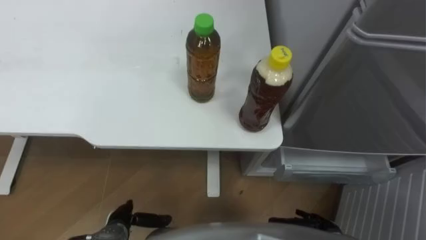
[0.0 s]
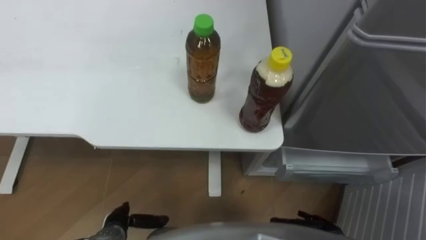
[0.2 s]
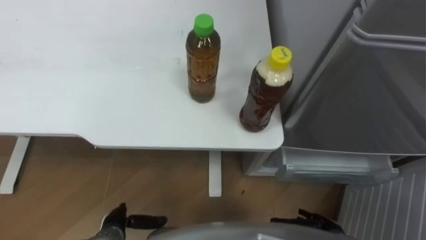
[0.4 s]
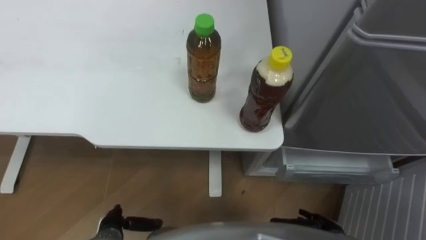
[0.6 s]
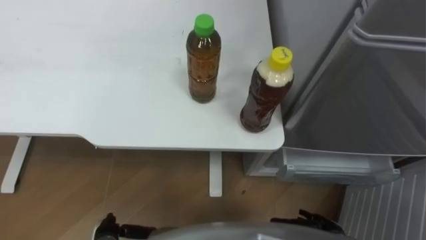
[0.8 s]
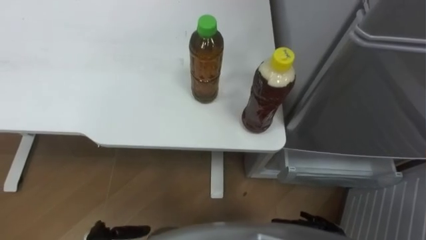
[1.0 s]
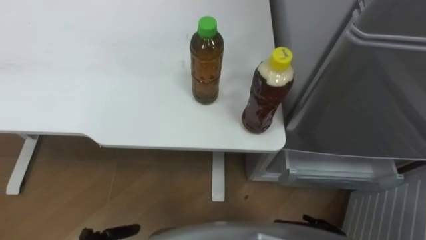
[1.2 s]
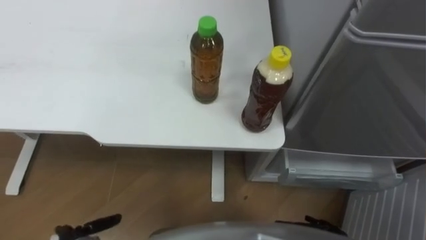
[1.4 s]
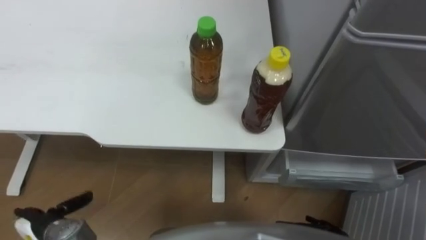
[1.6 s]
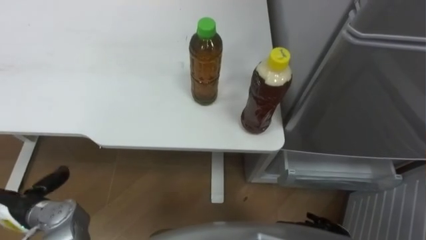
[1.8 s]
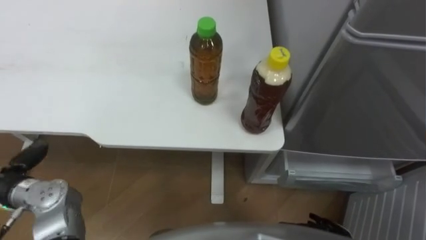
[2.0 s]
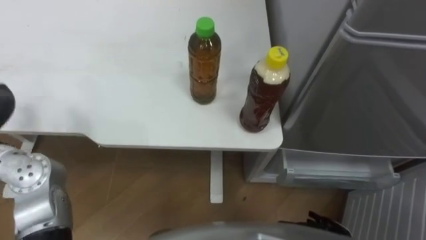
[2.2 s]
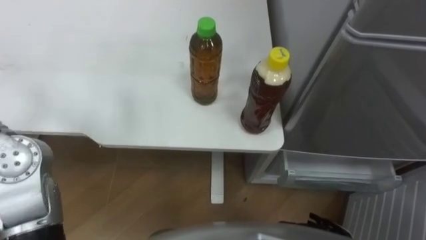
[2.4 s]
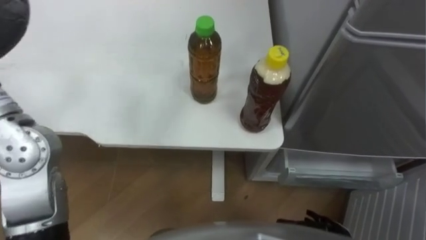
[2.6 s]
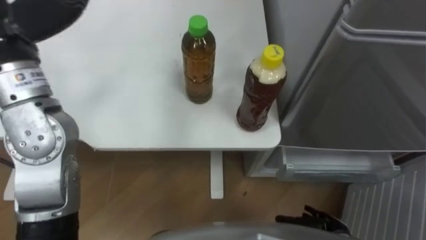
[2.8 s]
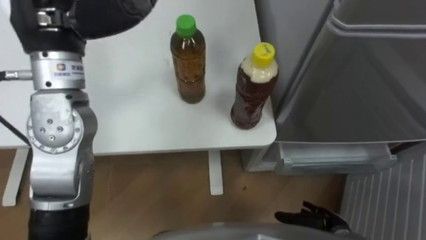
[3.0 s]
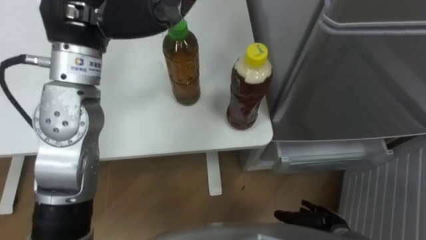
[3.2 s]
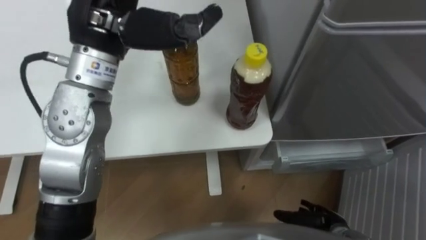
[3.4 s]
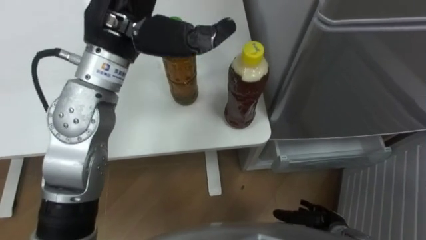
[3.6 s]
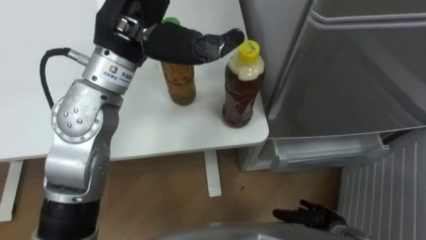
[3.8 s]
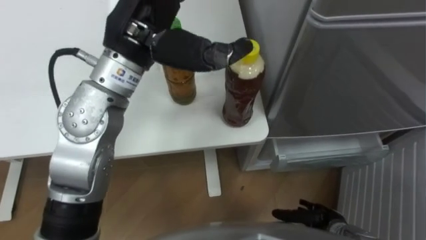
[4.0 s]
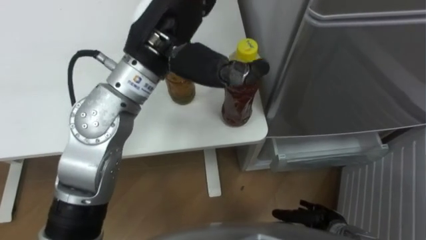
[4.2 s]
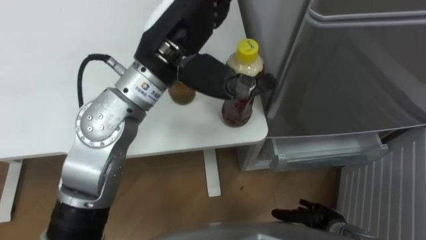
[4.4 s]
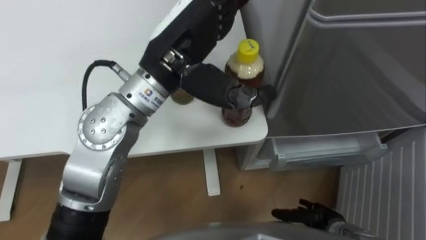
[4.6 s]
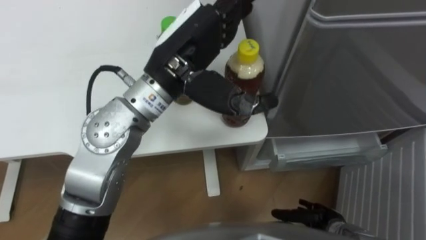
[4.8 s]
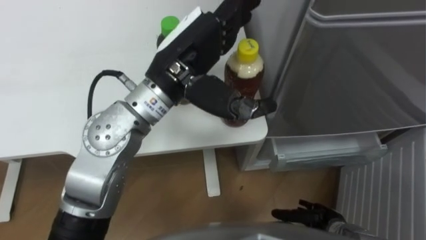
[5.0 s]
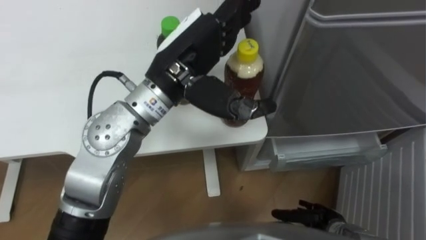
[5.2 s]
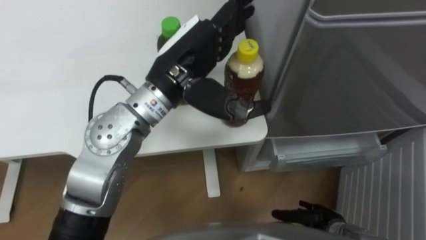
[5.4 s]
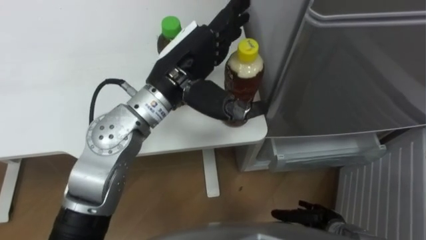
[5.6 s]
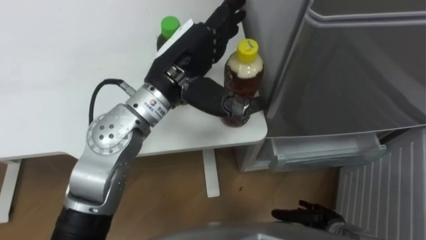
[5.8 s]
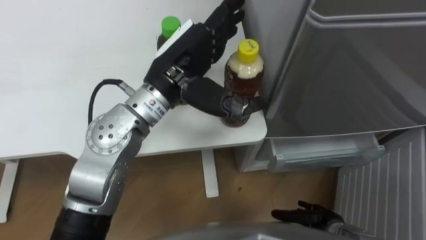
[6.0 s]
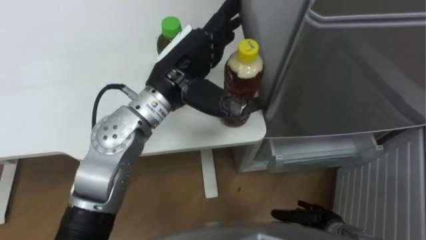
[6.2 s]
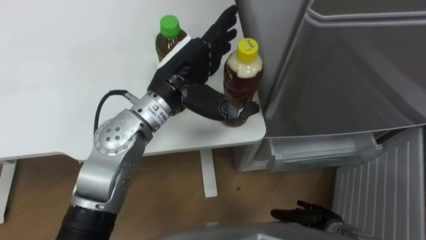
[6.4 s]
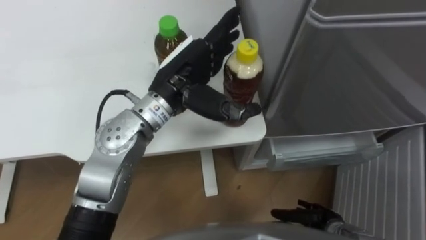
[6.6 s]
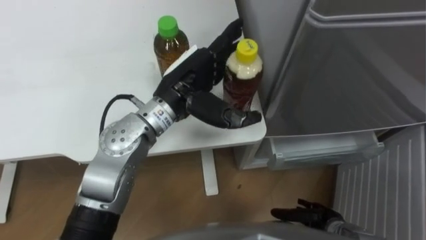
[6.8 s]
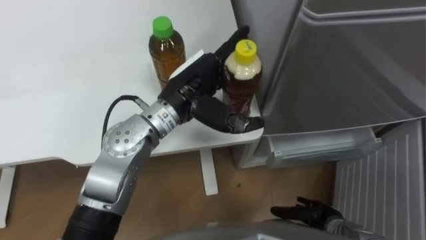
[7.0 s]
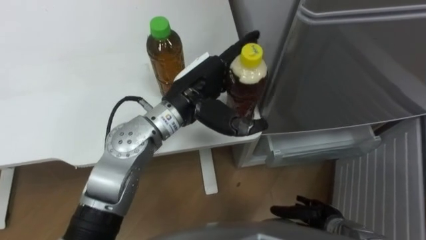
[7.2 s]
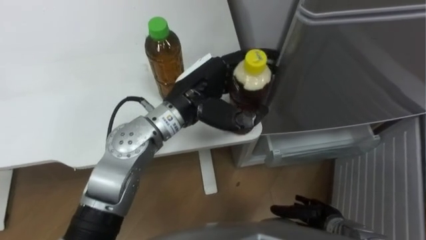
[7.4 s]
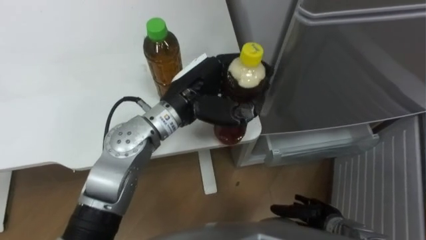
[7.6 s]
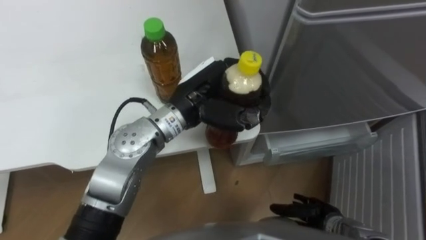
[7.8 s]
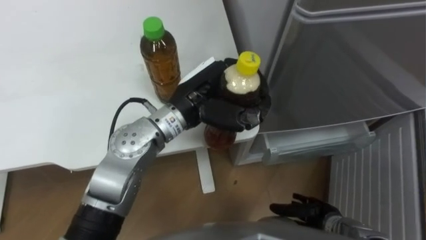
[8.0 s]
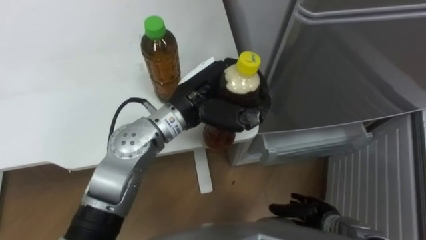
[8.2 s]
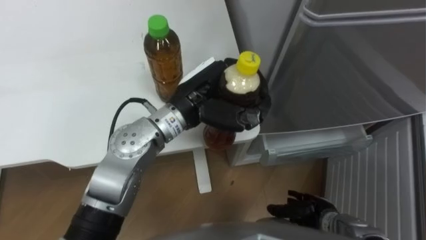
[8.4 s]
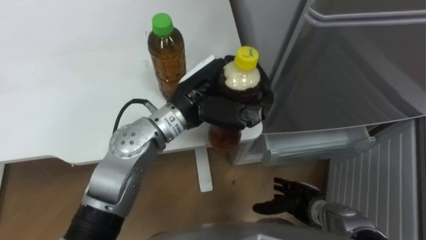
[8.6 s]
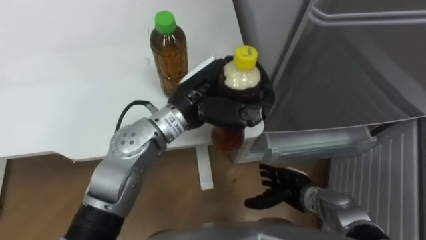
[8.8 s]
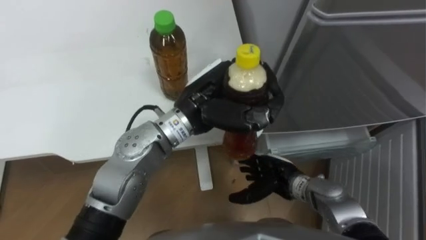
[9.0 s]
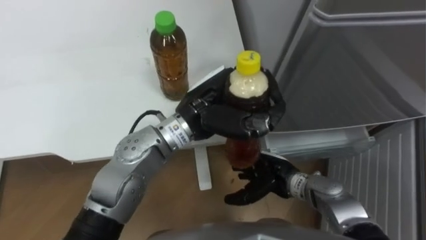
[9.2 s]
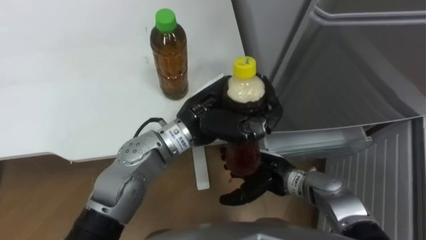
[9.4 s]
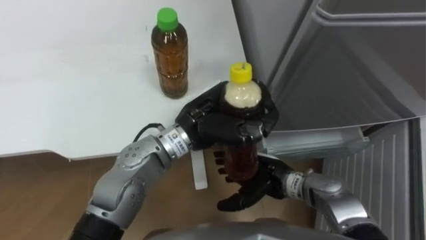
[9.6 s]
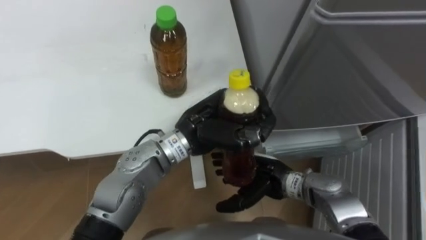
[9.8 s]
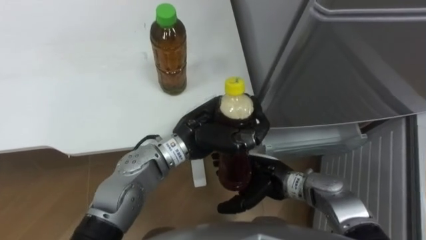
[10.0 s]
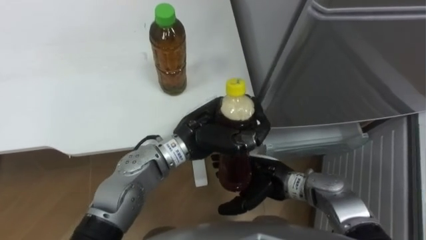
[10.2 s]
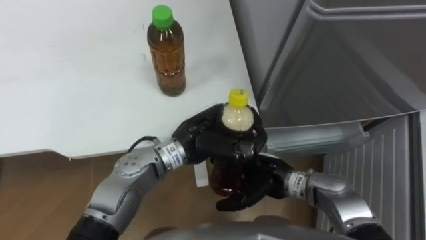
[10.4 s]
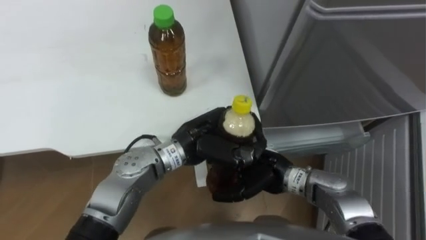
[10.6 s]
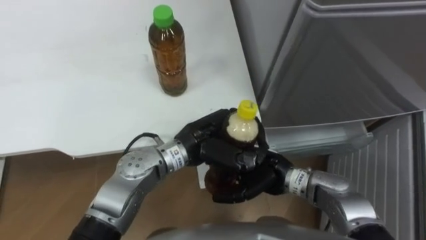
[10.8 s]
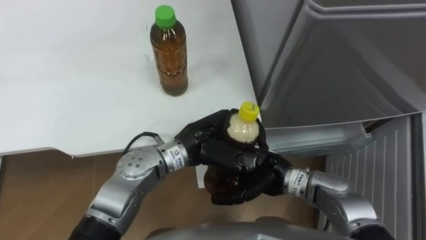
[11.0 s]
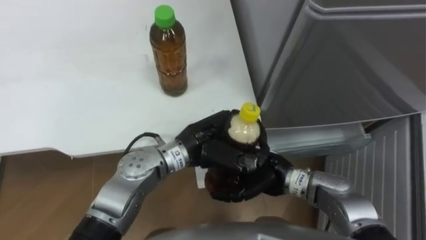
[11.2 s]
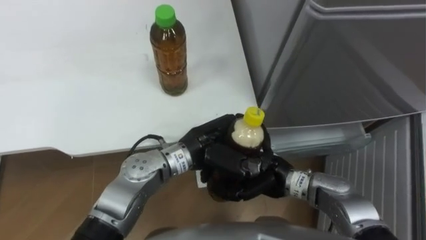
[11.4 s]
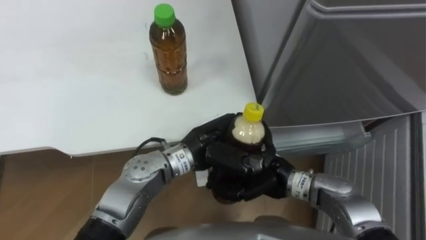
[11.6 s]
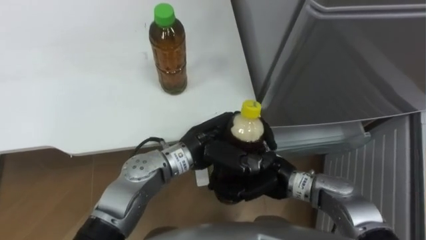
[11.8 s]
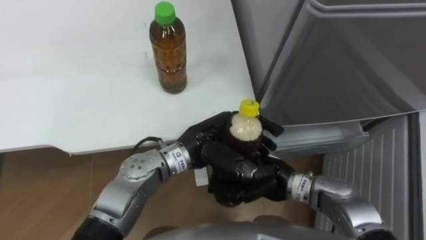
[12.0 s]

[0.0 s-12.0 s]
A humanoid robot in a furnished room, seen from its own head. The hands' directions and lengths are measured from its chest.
Task of the whole recording: Place the drink on the table on the bottom shelf of the refrigerator, then close the drawer and the refrigerator door.
3.0 to 4.4 s: The left hand goes some 15 cm to the right.
4.4 to 6.0 s: The left hand is displaced downward by some 5 cm.
6.0 to 7.6 s: The left hand travels downward by roughly 5 cm, and closes up.
7.6 to 9.0 s: The right hand moves to the left, forward and upward, about 15 cm.
9.0 to 10.4 s: The left hand shifts approximately 10 cm downward; the right hand changes place by approximately 5 cm.
10.4 to 12.0 s: The right hand closes. Meanwhile the left hand opens up.

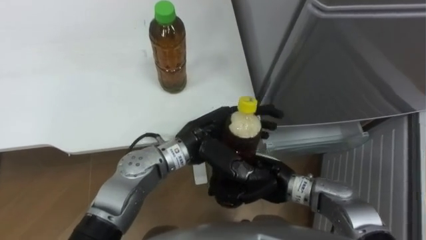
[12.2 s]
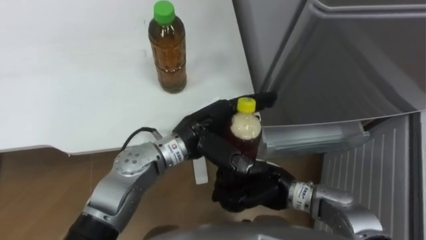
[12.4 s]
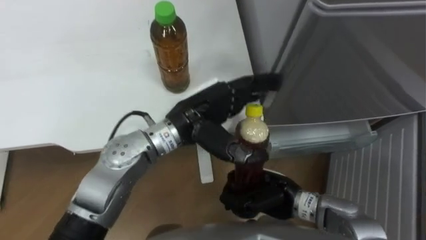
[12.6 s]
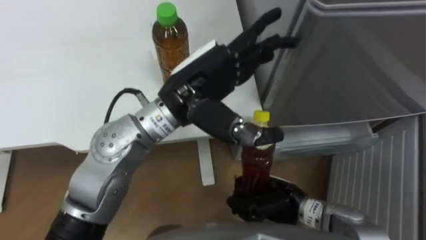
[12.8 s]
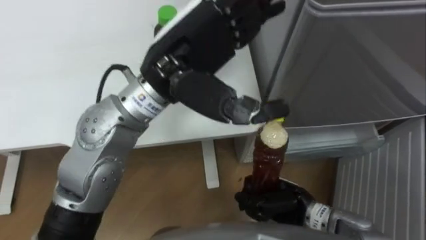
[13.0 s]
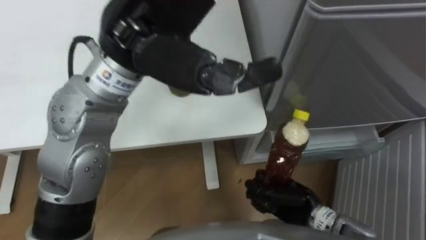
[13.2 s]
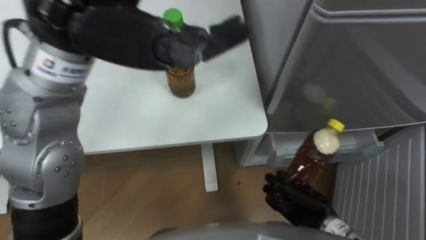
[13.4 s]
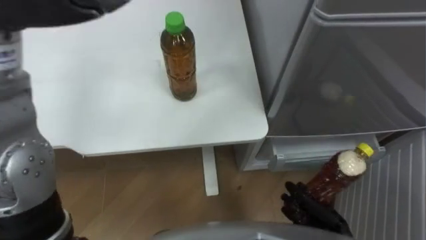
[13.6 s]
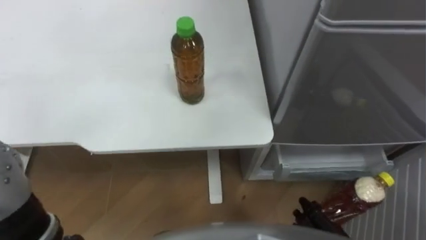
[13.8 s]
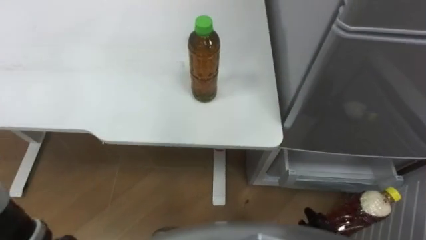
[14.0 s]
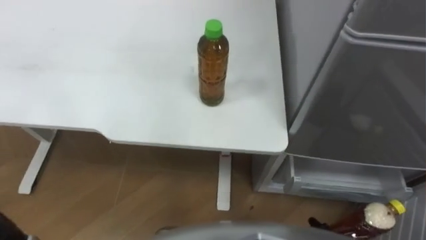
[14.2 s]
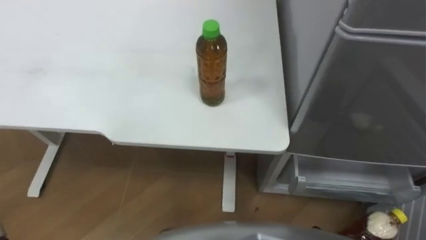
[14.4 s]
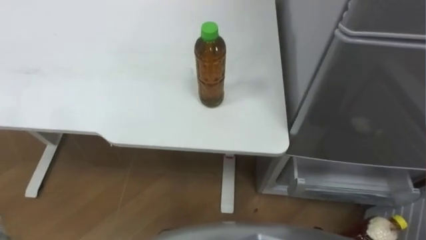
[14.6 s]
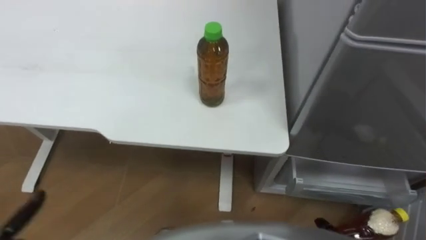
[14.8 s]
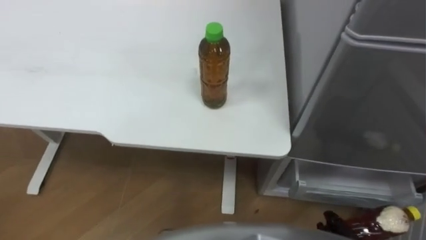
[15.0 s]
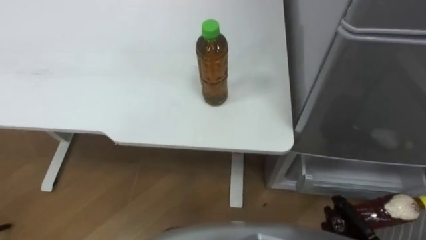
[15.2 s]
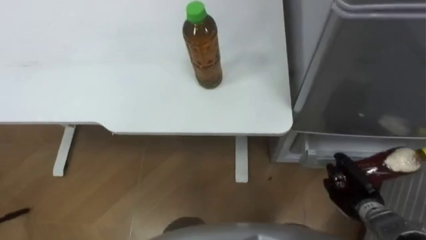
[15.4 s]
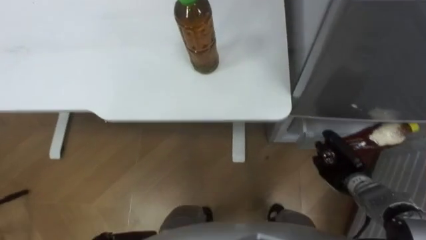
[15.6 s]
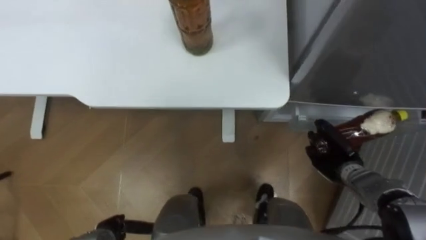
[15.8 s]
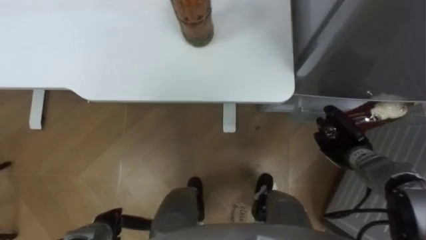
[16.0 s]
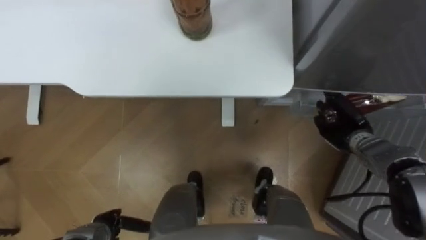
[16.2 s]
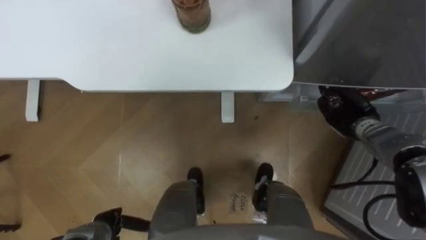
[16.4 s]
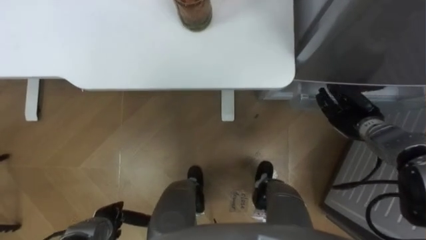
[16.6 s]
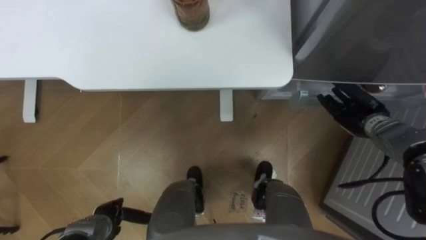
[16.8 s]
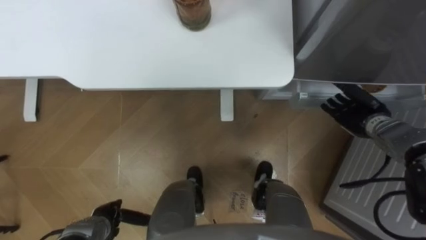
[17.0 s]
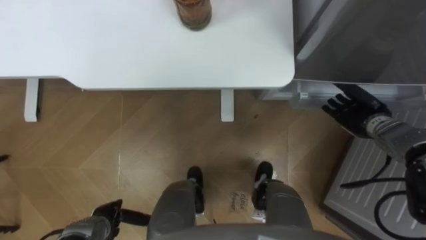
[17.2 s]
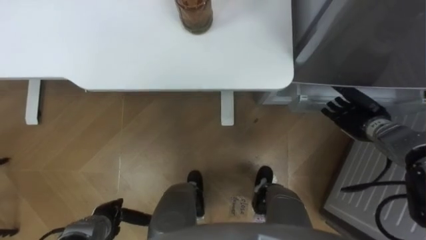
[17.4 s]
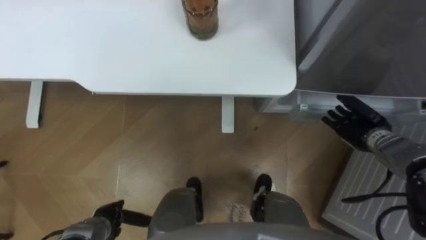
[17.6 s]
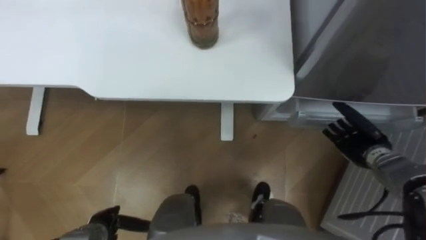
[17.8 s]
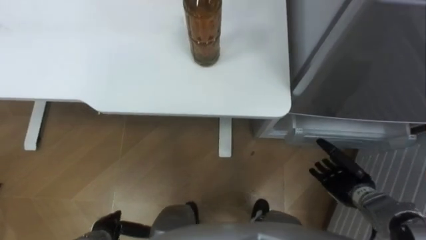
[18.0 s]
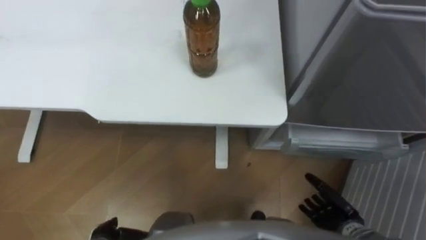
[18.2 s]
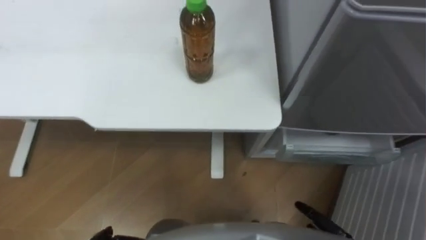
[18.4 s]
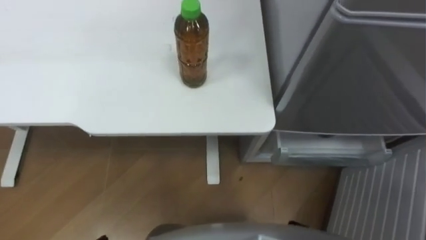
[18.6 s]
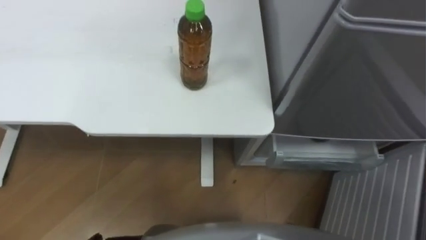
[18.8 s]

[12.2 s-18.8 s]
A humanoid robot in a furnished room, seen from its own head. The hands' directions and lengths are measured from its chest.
Task of the whole recording: Place the drink on the table on the bottom shelf of the refrigerator, then close the drawer and the refrigerator door.
15.4 to 17.2 s: The right hand is displaced forward and upward by approximately 20 cm, and opens its fingers.
